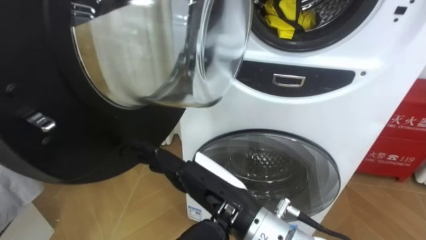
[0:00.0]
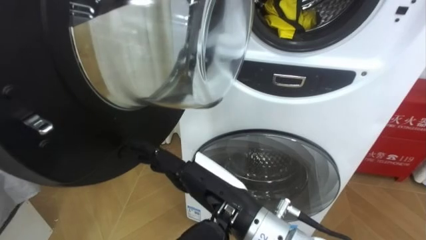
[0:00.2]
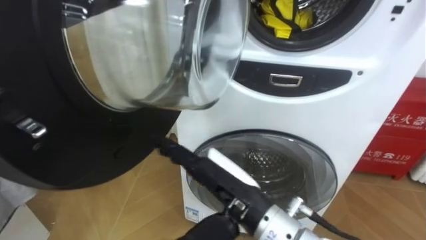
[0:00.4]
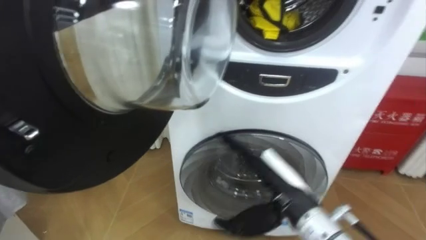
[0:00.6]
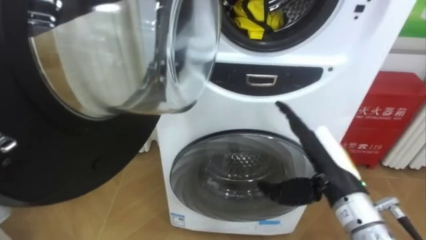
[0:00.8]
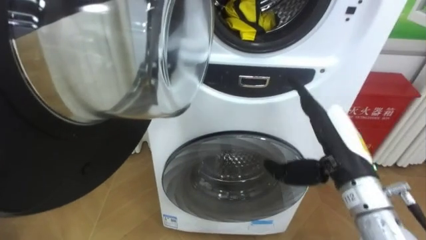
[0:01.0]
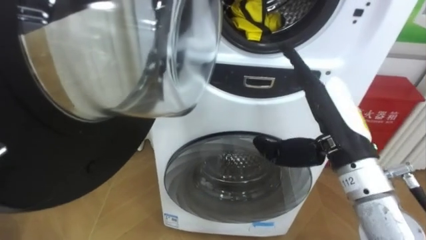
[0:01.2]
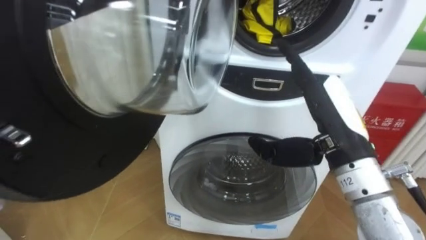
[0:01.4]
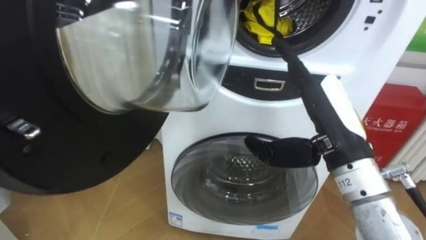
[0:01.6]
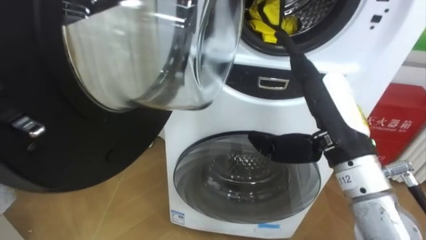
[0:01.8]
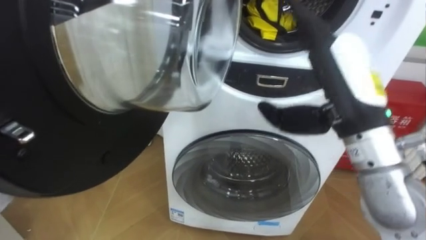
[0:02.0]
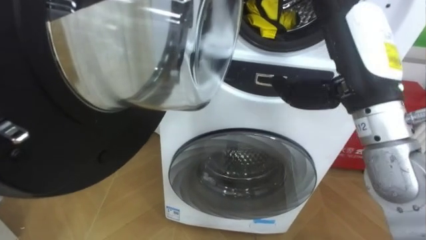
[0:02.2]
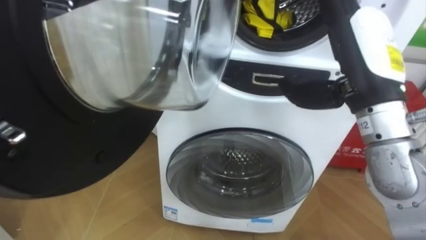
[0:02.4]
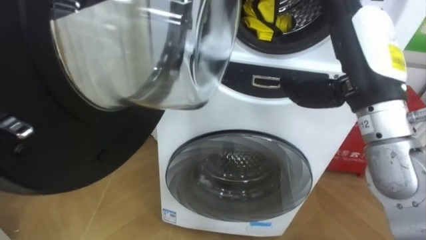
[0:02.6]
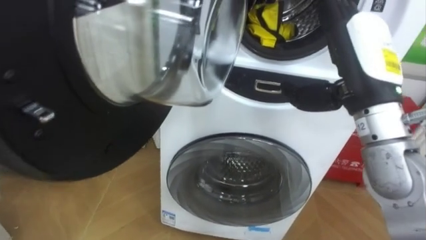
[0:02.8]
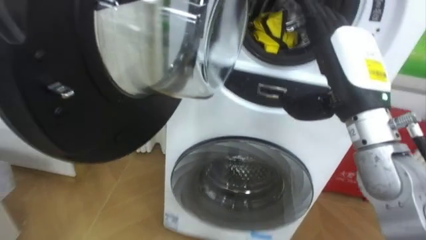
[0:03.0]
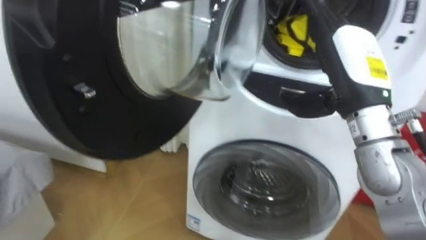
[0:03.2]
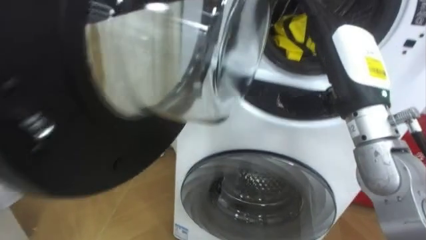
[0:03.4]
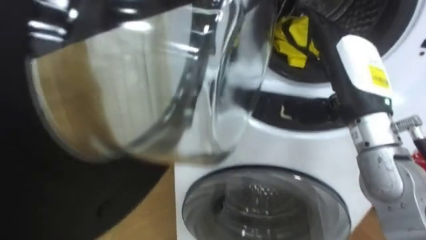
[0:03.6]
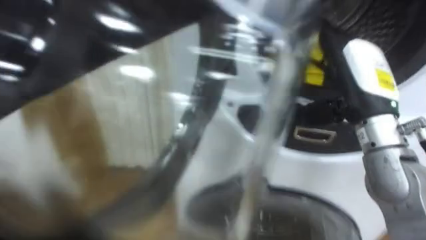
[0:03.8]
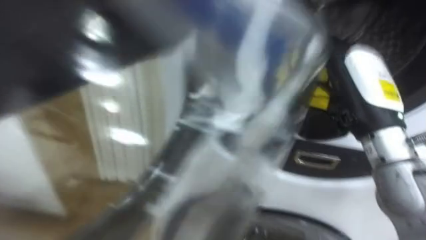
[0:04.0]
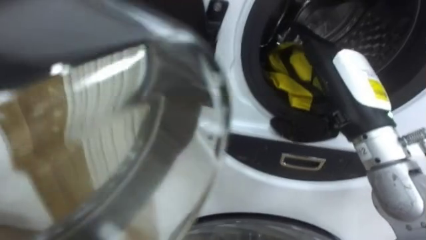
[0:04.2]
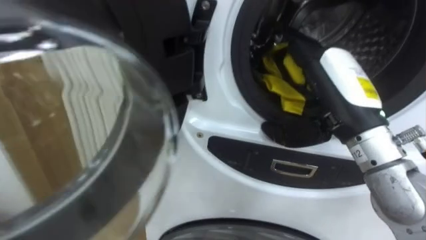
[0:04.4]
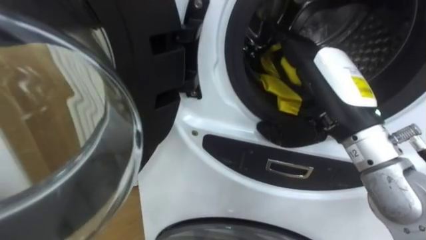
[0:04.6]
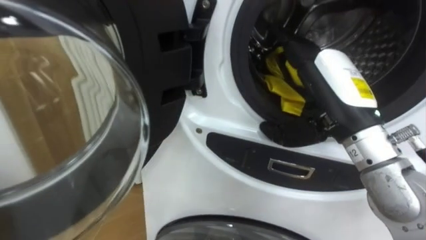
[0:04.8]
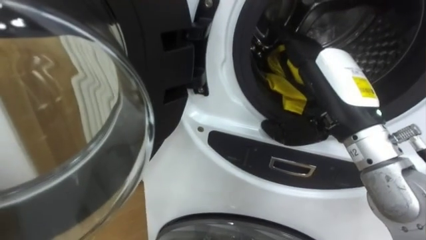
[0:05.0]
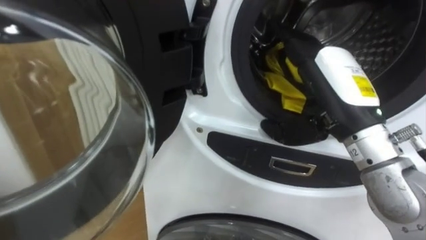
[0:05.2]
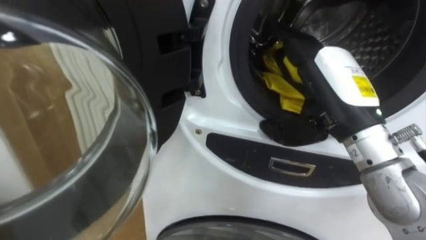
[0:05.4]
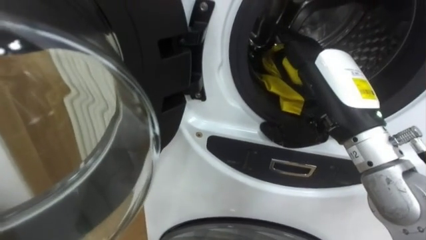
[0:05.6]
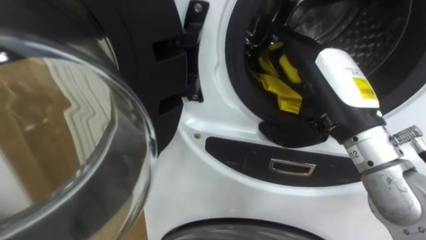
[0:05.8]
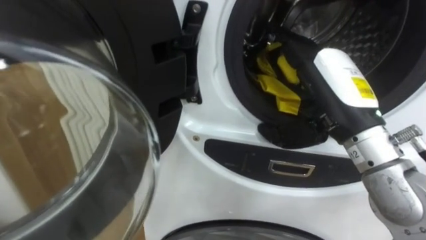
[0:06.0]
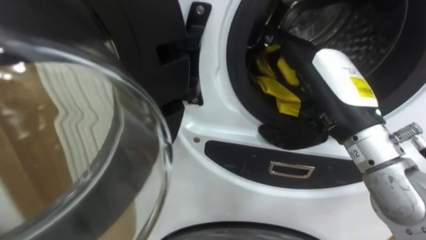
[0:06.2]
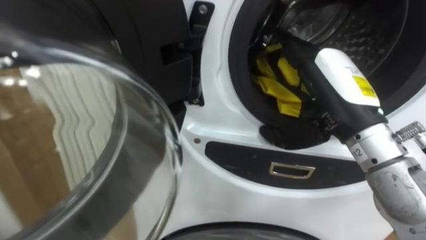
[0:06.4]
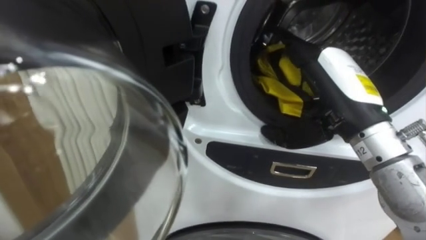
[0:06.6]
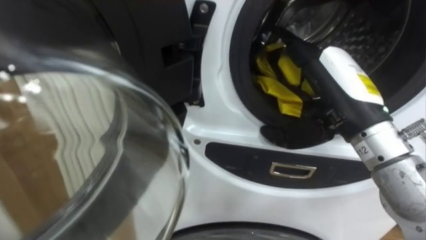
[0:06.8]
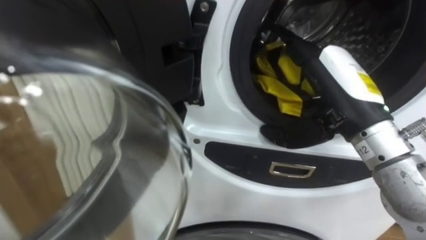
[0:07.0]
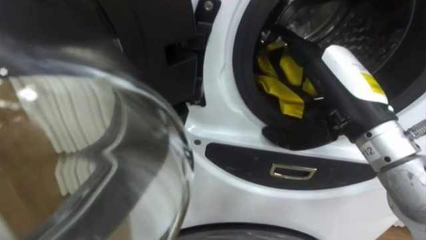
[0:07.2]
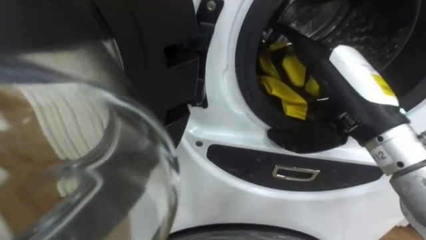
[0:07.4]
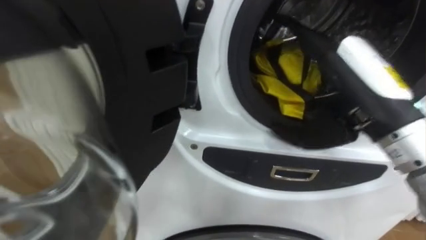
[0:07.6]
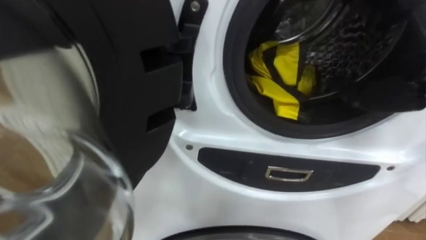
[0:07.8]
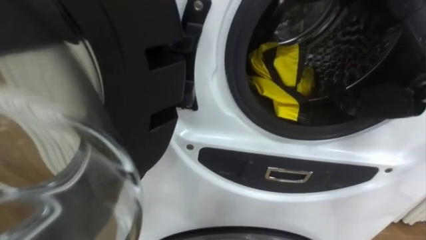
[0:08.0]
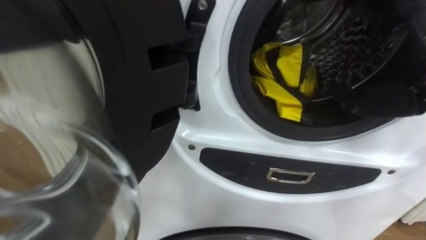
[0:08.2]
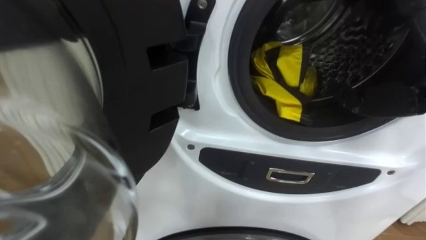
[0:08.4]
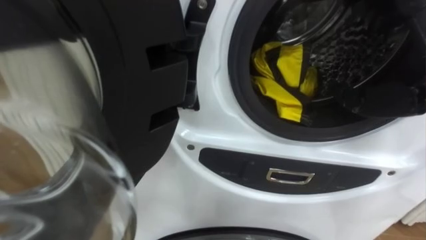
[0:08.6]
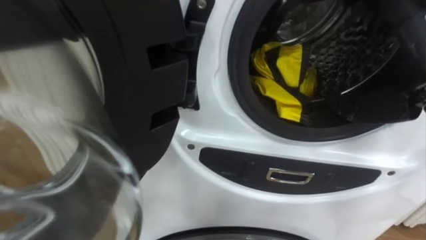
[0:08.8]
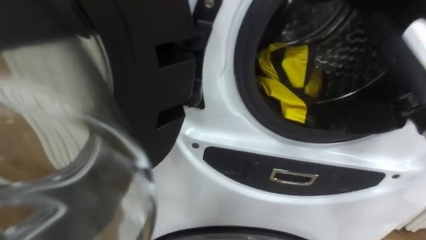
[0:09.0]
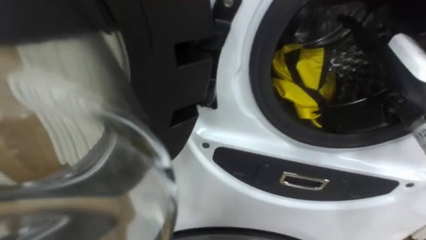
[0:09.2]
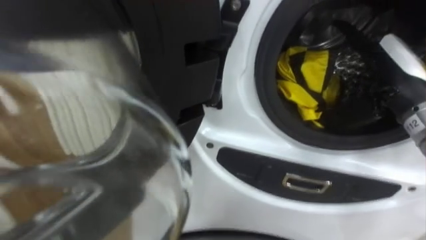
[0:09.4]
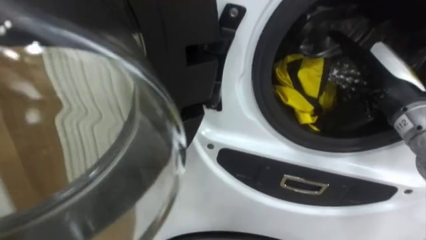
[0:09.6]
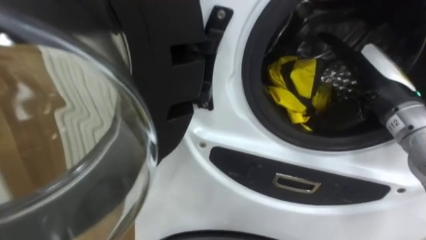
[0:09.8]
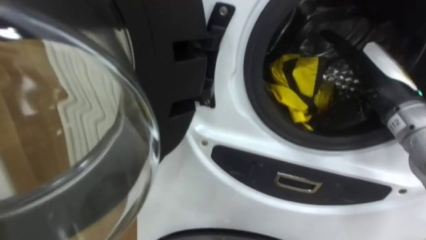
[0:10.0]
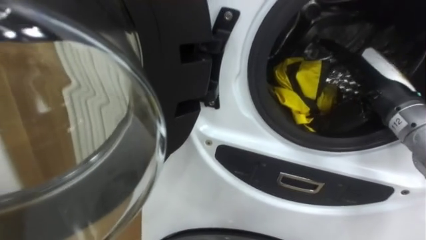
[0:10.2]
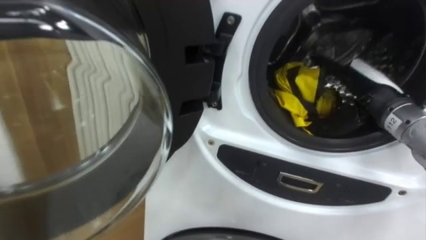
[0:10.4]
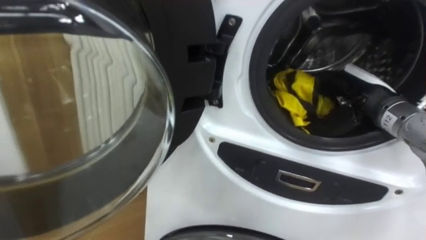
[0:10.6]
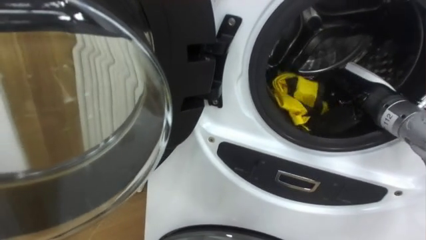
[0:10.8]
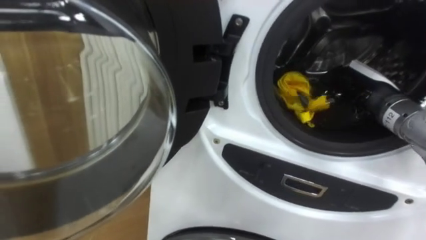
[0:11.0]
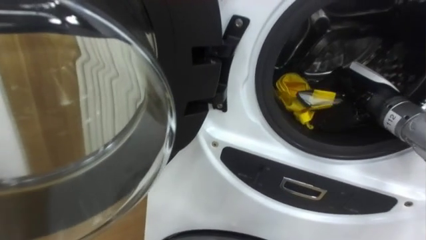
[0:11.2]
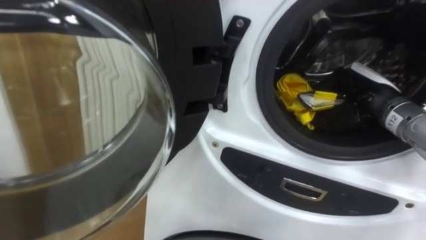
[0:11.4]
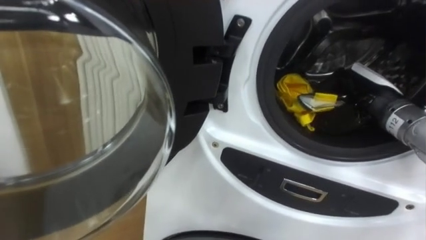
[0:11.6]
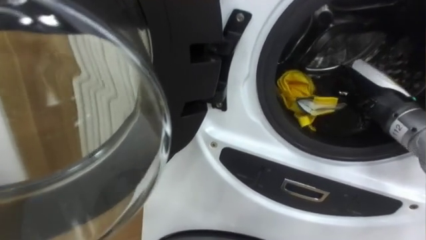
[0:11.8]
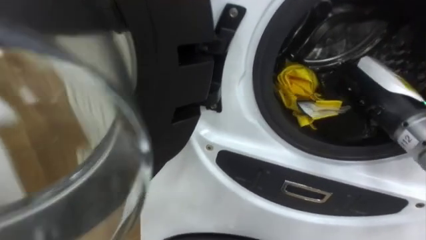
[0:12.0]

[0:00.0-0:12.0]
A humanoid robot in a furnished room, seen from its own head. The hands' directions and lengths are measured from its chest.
Task of the whole recording: Open the washing machine door, take out the yellow clothes, place them in the box on the right, and close the washing machine door.
0:00.0 to 0:01.6: The right hand travels to the right by some 15 cm.
0:01.6 to 0:03.0: The right hand changes place by some 5 cm.
0:09.0 to 0:10.4: The right hand moves downward and forward, about 15 cm.
0:10.4 to 0:12.0: The right hand shifts by about 5 cm, and closes.

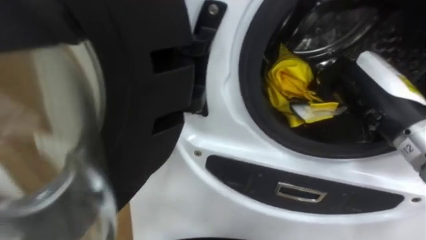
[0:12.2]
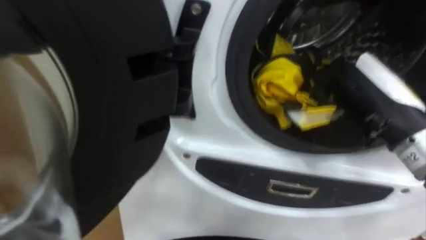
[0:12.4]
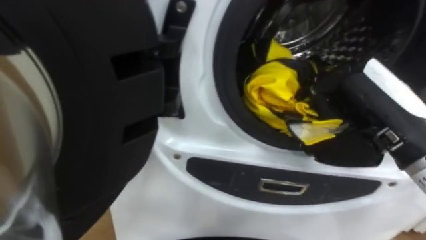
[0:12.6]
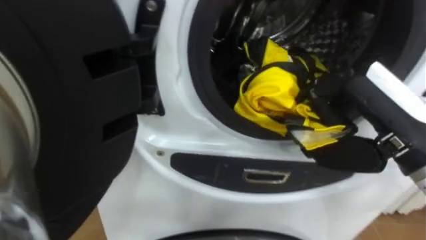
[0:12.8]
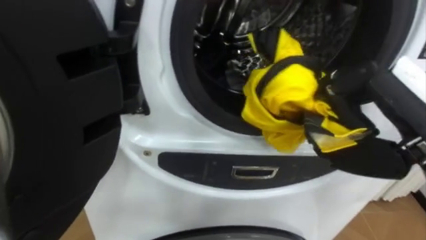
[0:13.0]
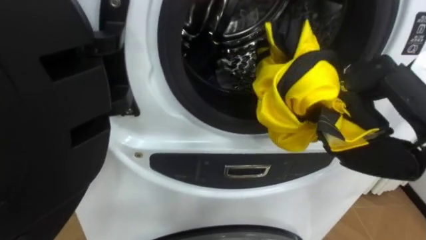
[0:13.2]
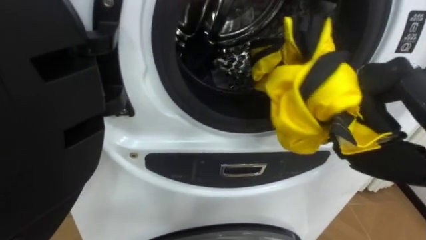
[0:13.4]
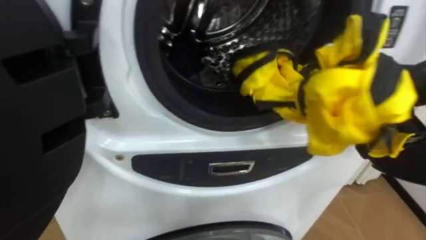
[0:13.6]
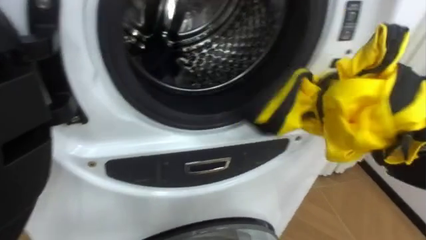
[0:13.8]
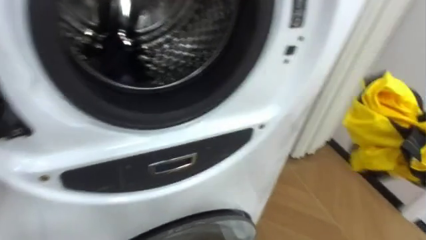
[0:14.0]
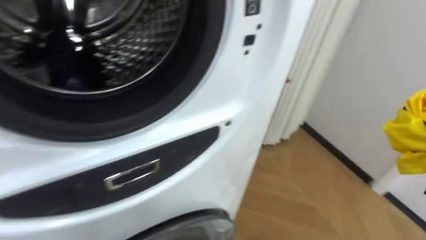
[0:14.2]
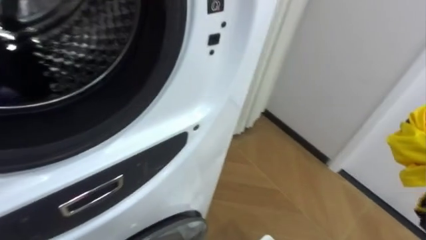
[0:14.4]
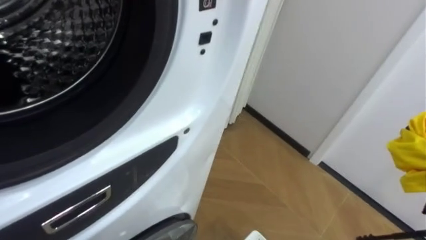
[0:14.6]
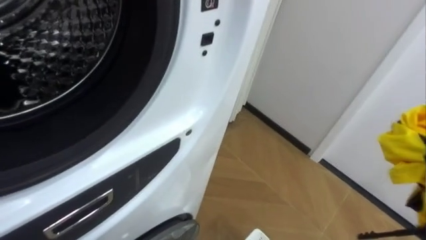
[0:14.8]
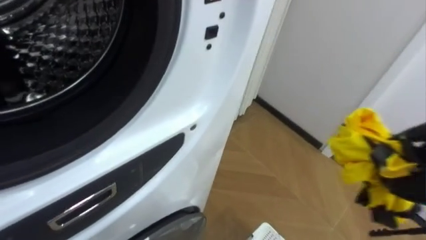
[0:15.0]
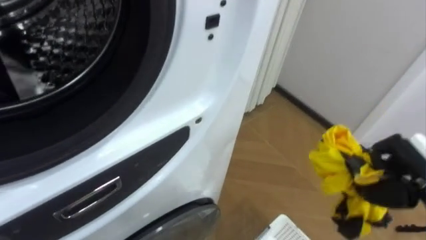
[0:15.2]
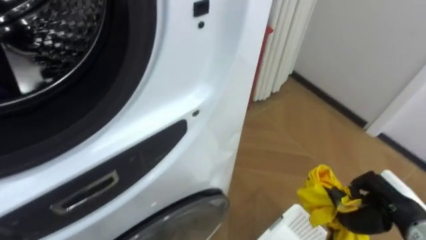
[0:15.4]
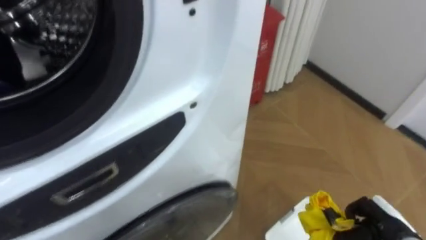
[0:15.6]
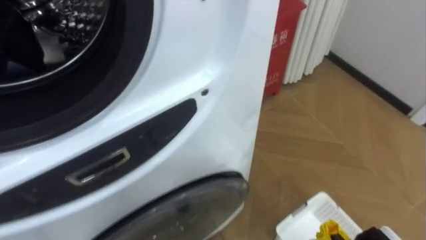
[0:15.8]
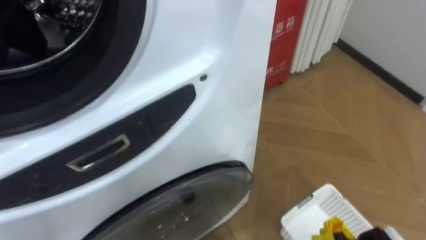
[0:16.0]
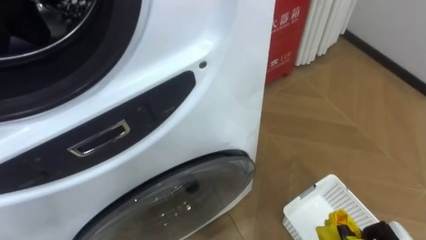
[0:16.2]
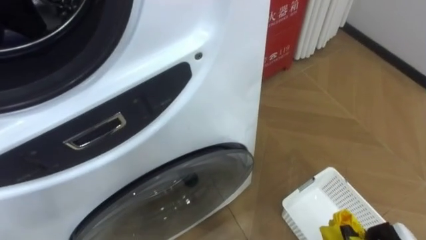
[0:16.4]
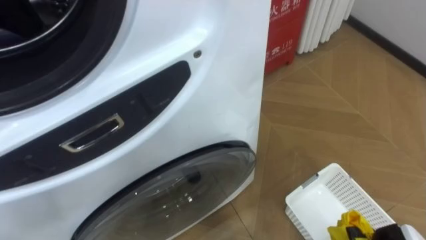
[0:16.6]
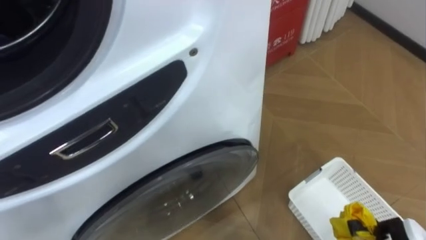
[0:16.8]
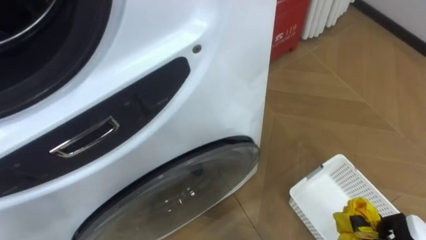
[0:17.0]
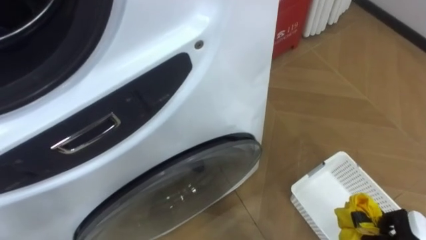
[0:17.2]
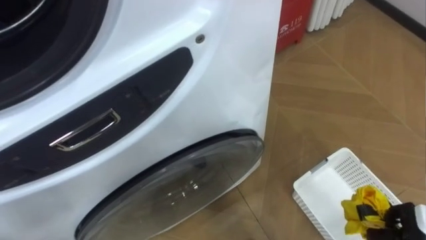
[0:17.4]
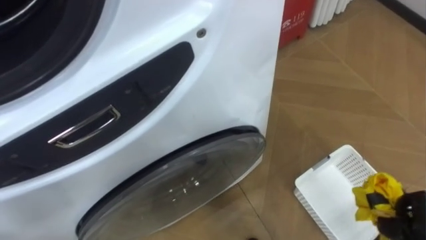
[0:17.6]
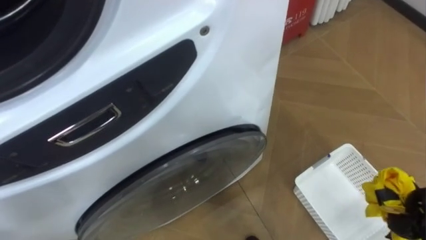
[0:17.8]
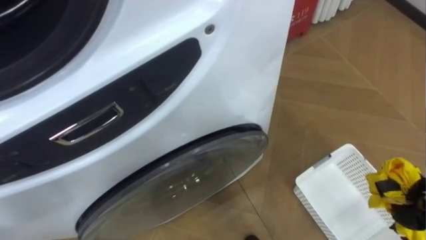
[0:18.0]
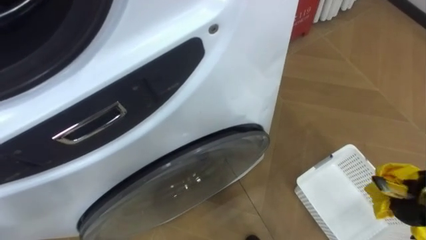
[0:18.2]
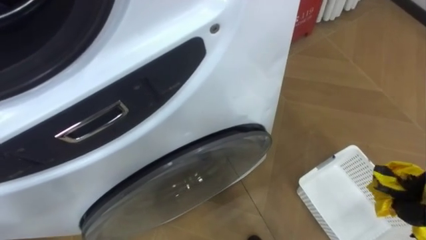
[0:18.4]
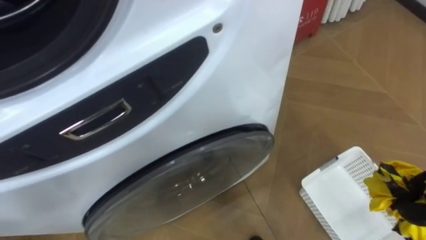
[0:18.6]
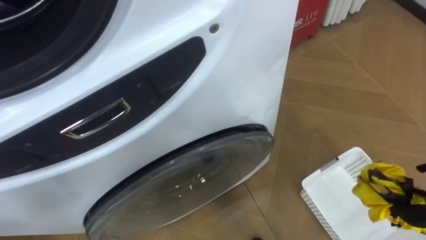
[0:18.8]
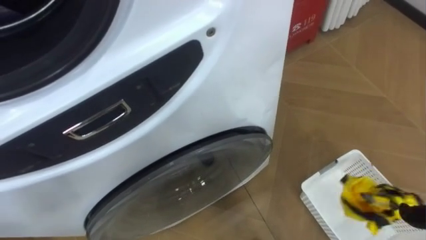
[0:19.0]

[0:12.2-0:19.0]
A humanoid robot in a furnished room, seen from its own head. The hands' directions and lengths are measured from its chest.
Task of the whole recording: Open the washing machine door, take out the yellow clothes, place them in the box on the right, and close the washing machine door.
0:13.6 to 0:15.0: The robot rotates some 25 degrees to its right.
